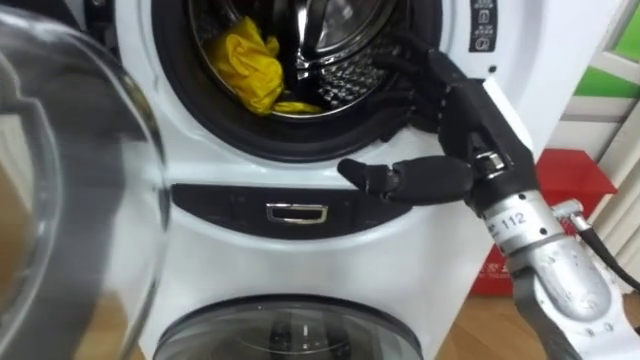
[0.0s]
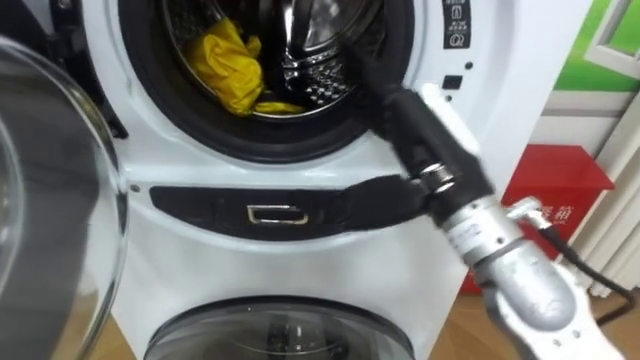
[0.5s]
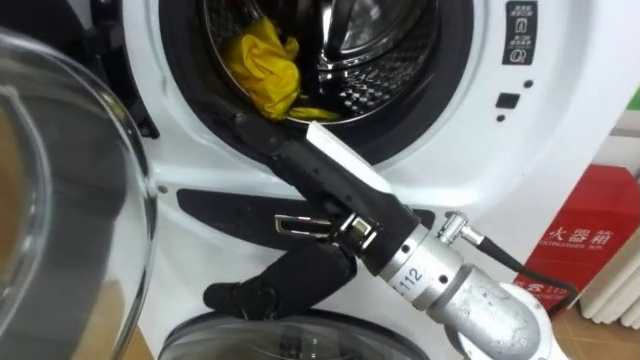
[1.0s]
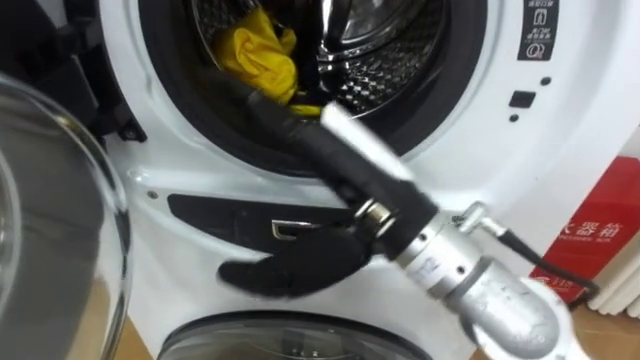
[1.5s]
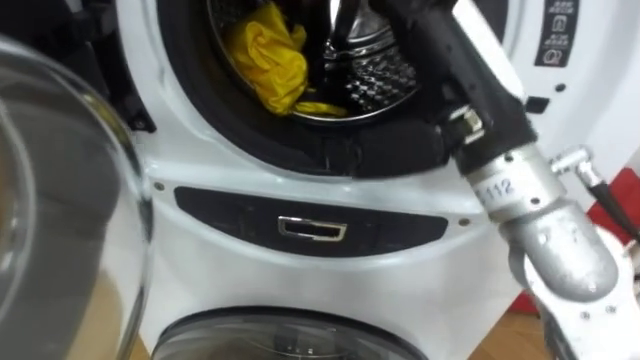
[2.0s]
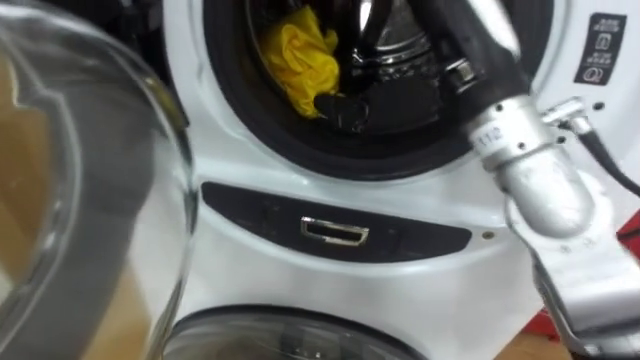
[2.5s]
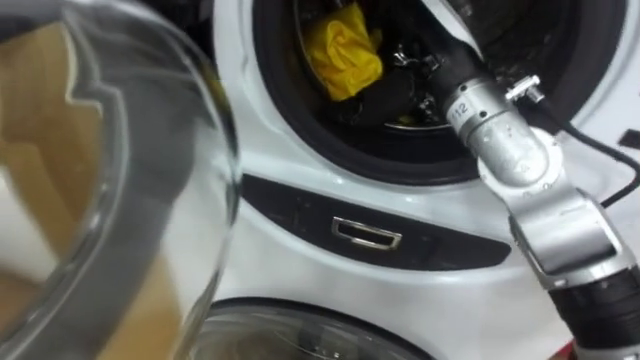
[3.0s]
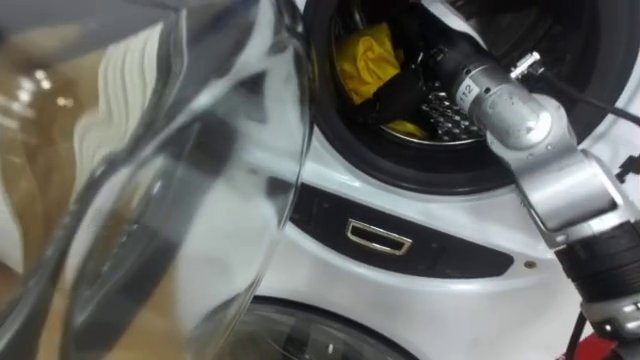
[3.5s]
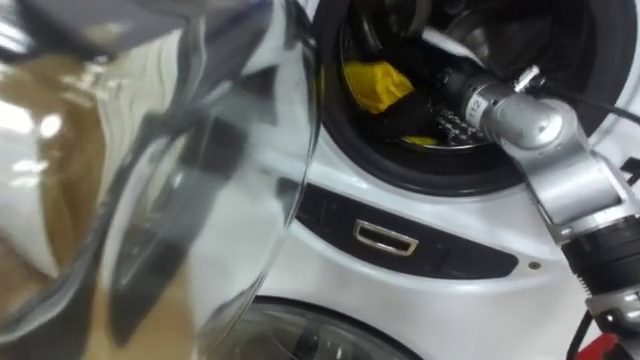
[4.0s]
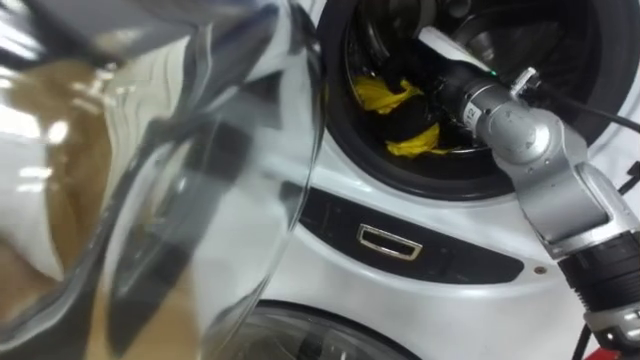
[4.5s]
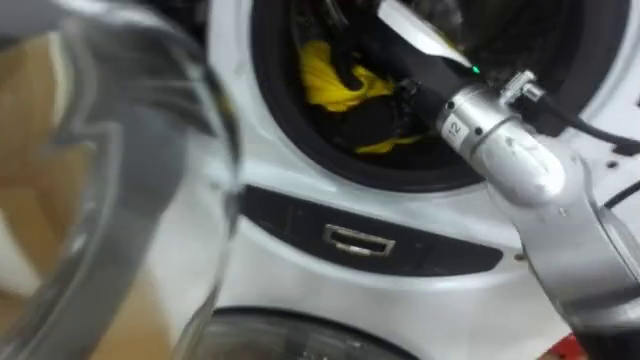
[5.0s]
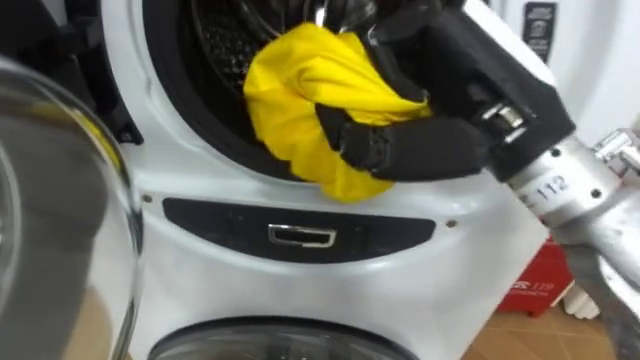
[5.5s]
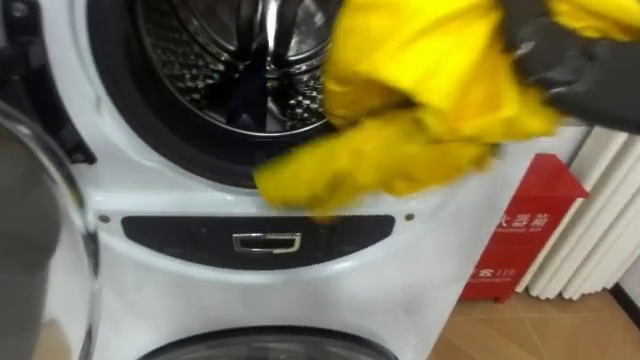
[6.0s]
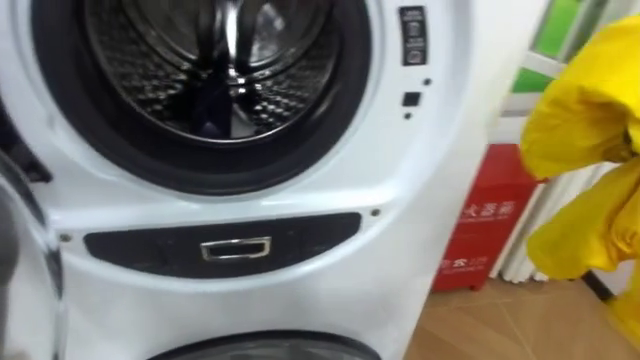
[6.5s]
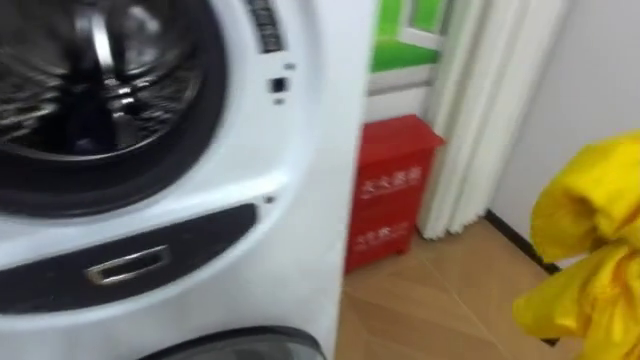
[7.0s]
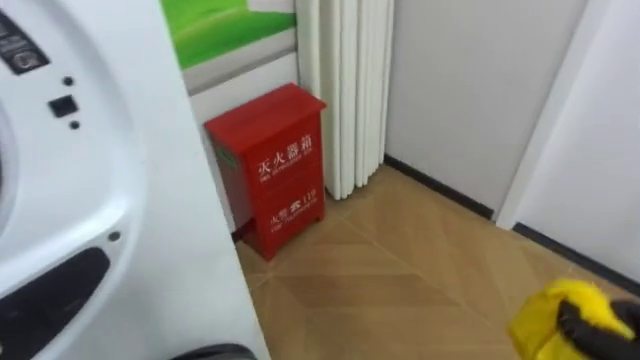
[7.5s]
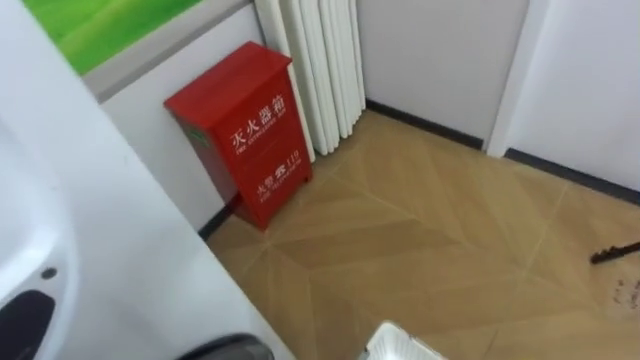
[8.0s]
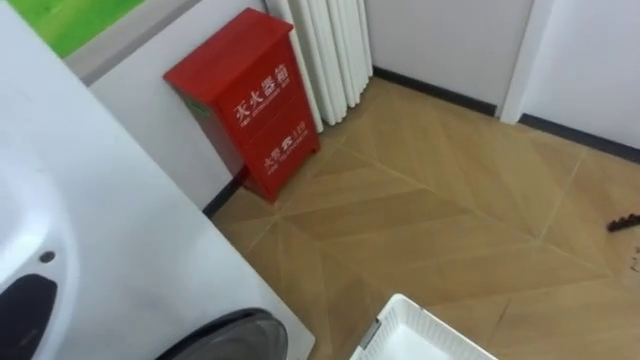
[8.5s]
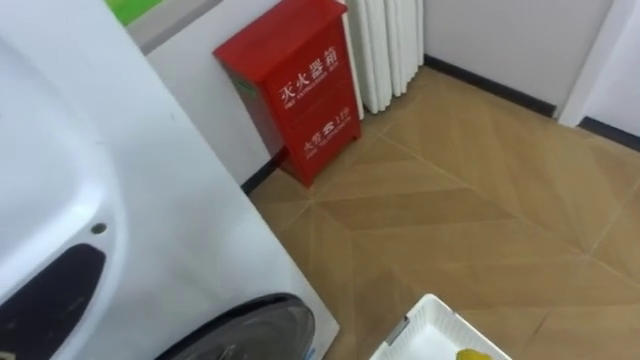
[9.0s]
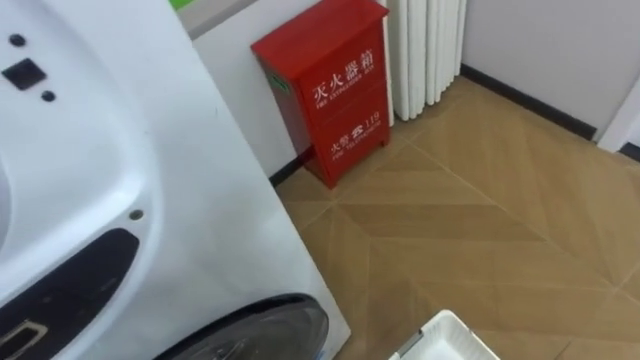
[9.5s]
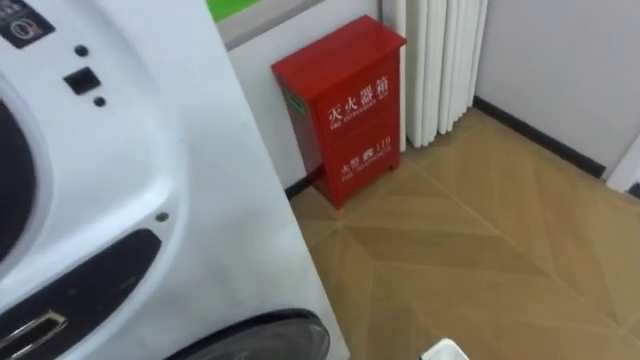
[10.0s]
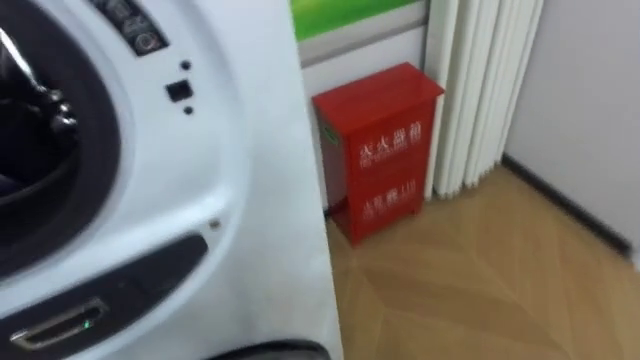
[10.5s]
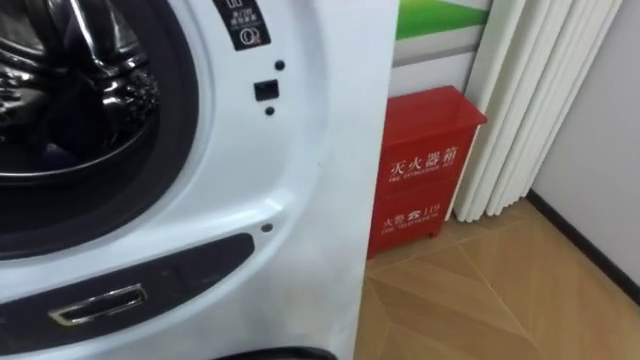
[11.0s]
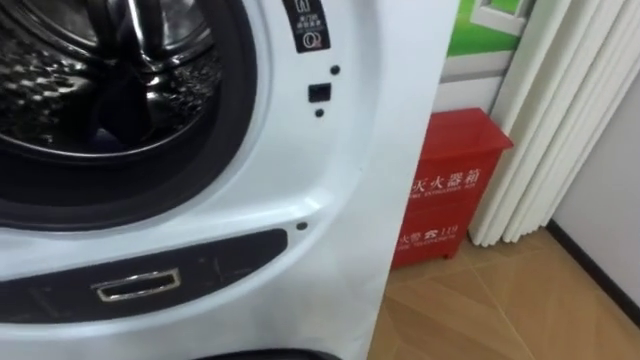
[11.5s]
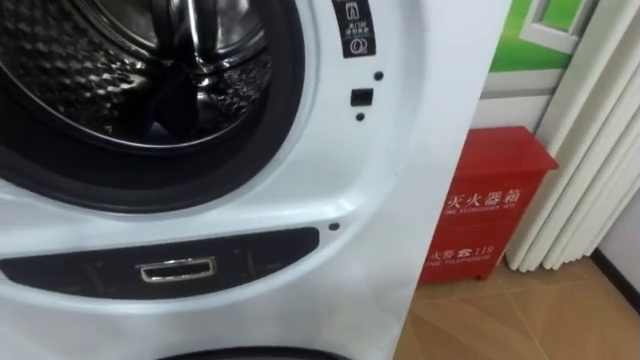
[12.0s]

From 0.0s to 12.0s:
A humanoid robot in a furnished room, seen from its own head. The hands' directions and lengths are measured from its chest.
Task of the whole recording: Open the washing machine door, take out the yellow clothes, place them in the box on the right, and close the washing machine door.
From 0.0s to 2.0s: The right hand shifts roughly 5 cm upward, and reaches approximately 15 cm to the left, then returns.
From 2.0s to 4.0s: The right hand shifts approximately 15 cm forward and downward, and closes its fingers.
From 6.0s to 8.0s: The robot turns to its right by approximately 30 degrees.
From 8.0s to 10.0s: The robot's body swings approximately 15 degrees to its left.

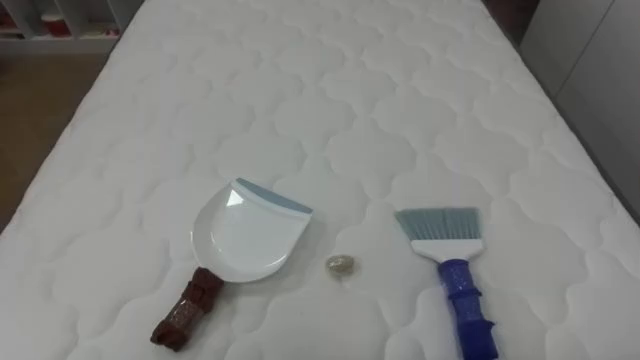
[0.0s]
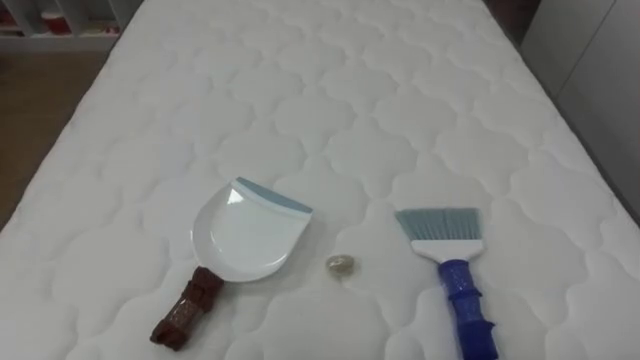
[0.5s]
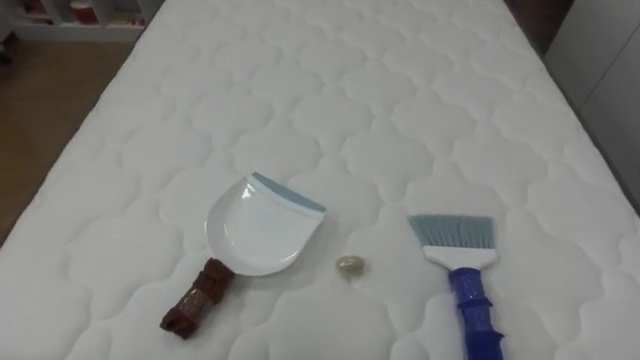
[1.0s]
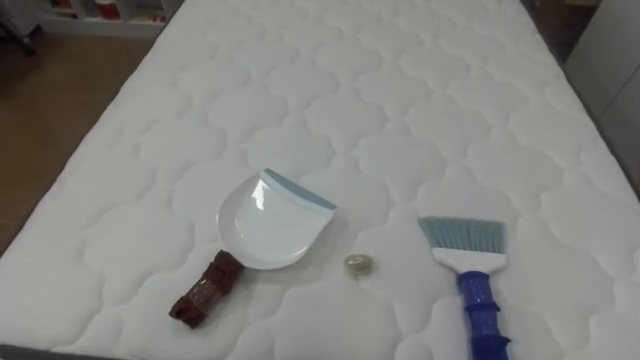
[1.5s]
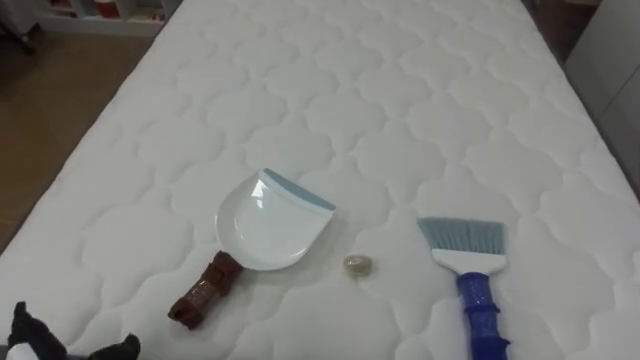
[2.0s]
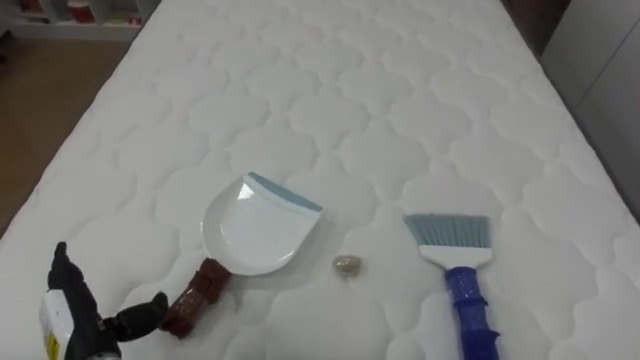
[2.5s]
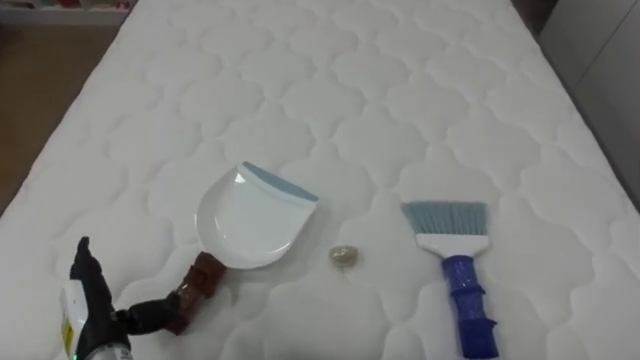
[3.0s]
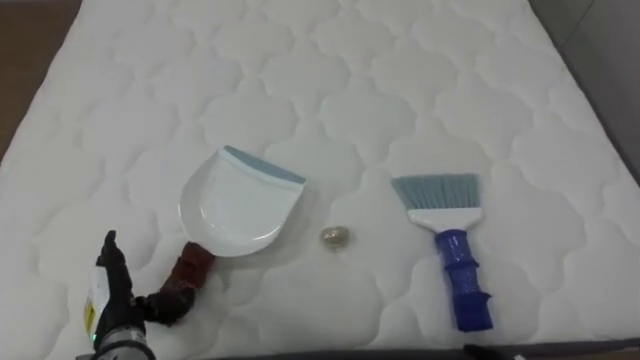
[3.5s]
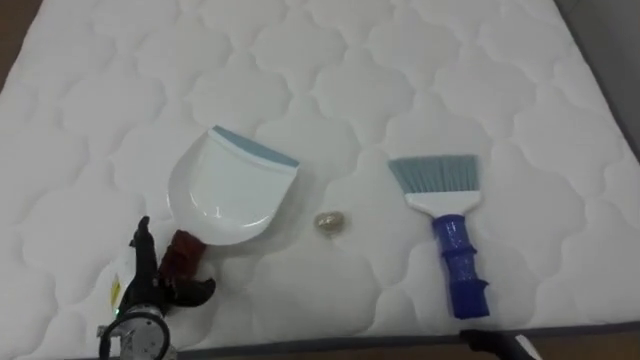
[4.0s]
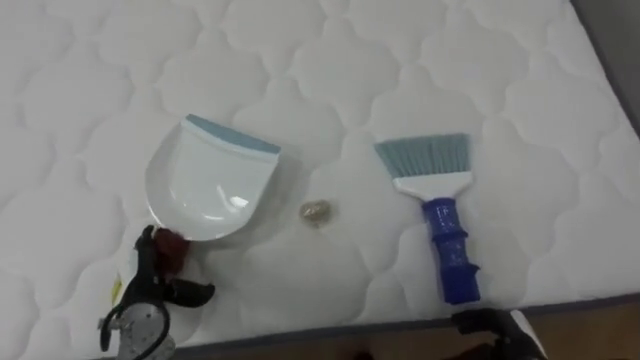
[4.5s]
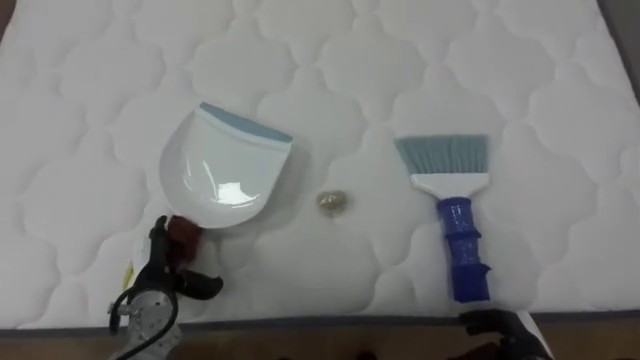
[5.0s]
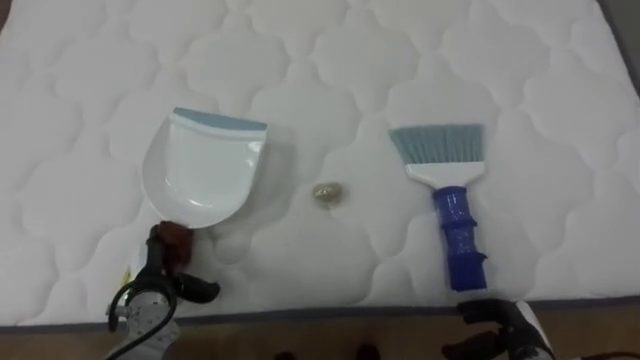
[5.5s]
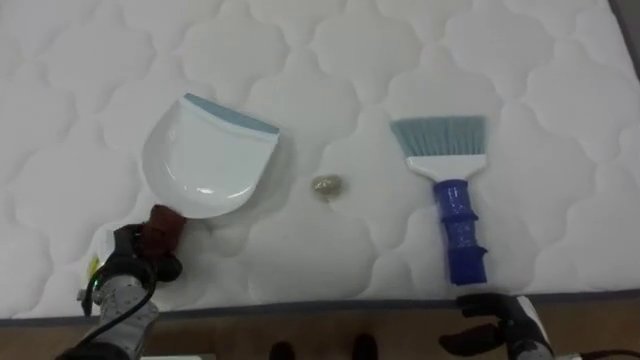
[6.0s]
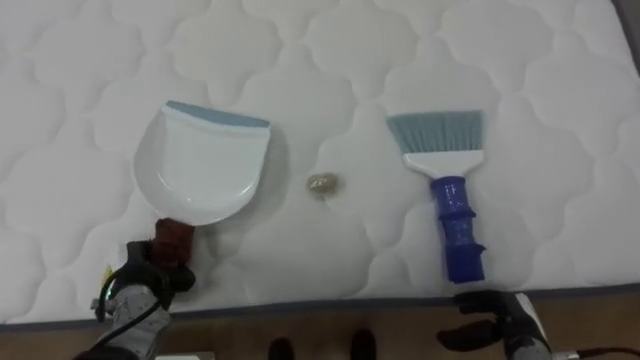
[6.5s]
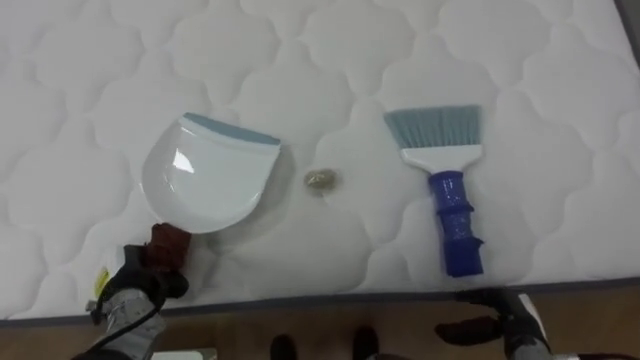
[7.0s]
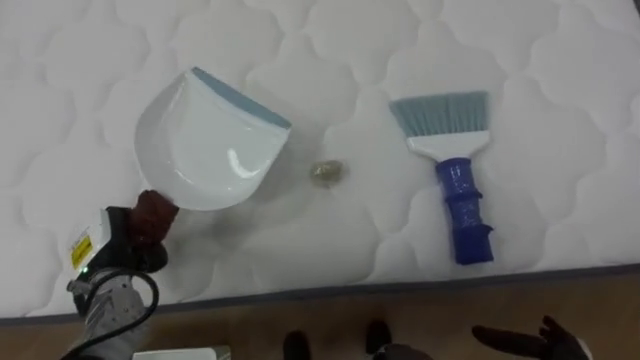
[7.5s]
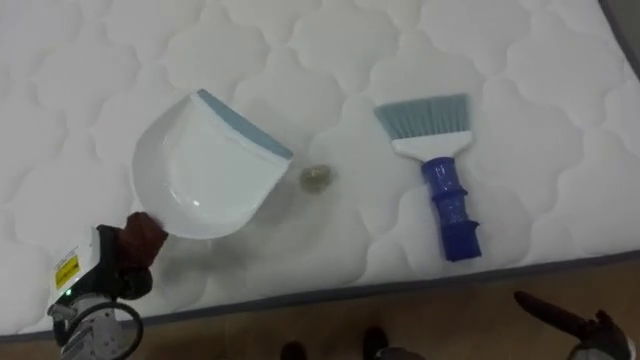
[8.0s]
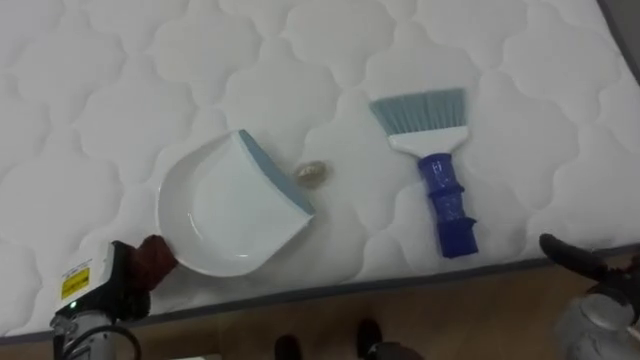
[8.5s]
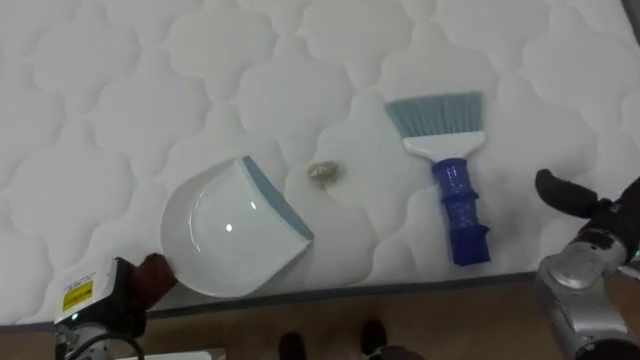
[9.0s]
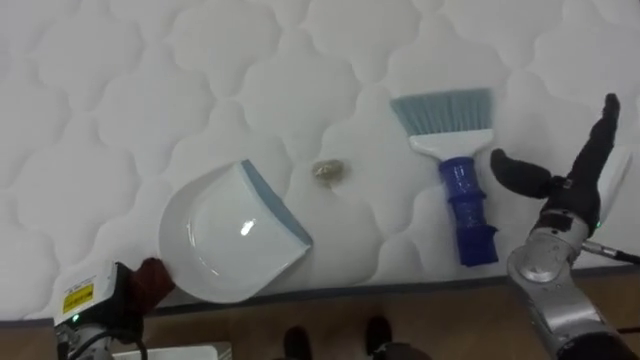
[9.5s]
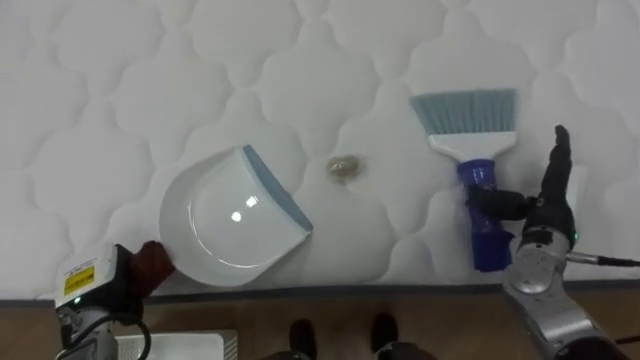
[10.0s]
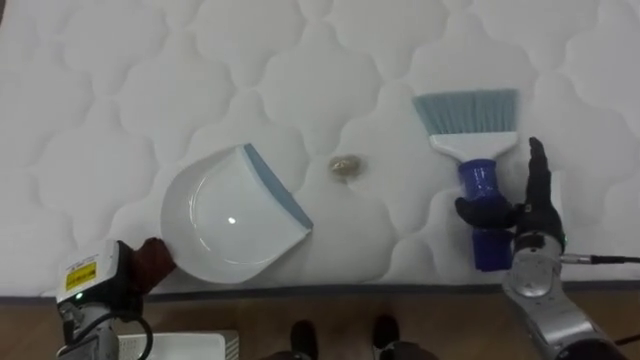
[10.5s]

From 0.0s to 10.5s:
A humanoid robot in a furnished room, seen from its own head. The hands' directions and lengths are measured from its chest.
Task of the whole recording: Pick up the brush on your right and the dustpan on your left. Use the brush to sweep the crumpled paper on the bed into the dustpan, then turn left and empty it into the basket.
From 4.0s to 6.5s: The left hand closes its fingers.
From 8.5s to 10.5s: The right hand shifts approximately 15 cm to the left, forward and upward.
